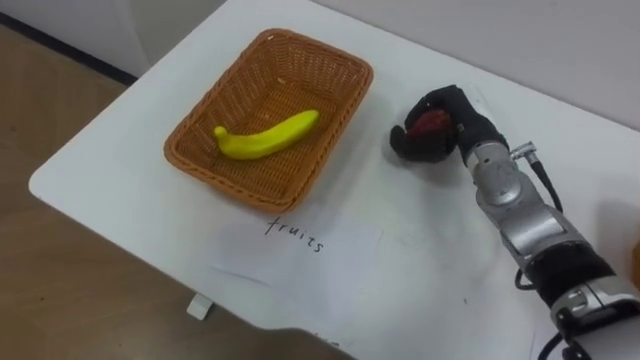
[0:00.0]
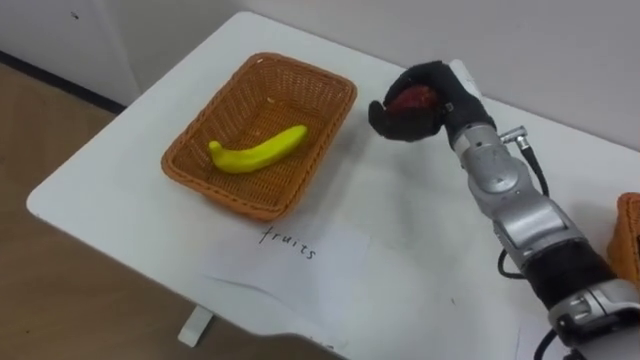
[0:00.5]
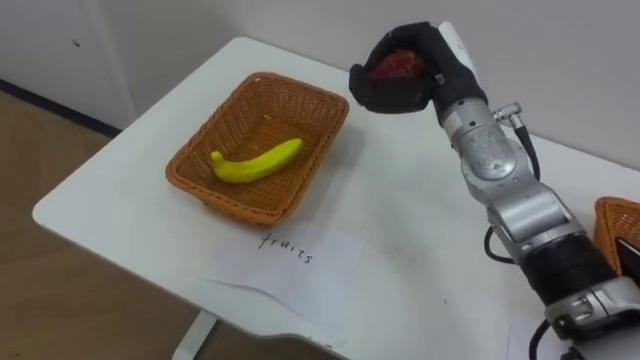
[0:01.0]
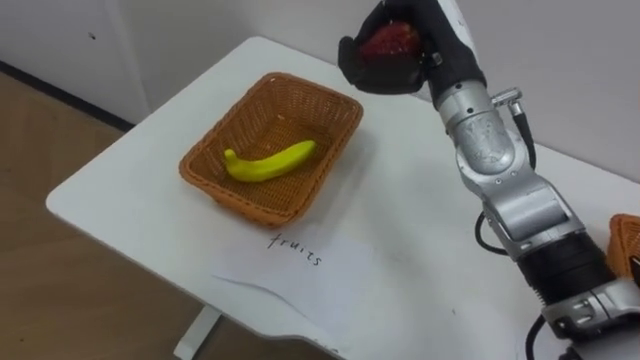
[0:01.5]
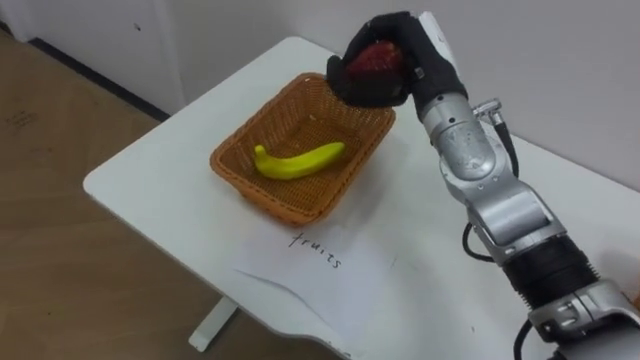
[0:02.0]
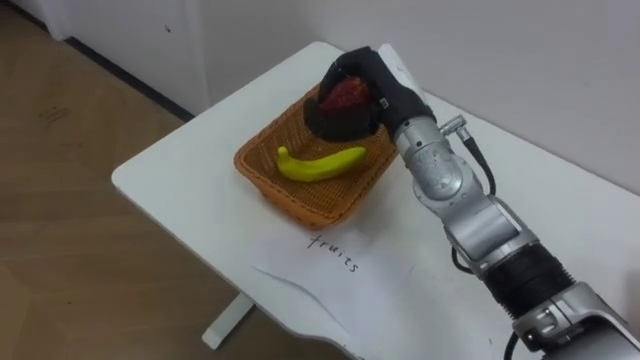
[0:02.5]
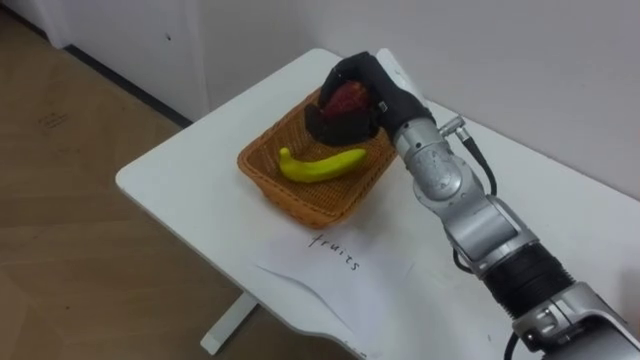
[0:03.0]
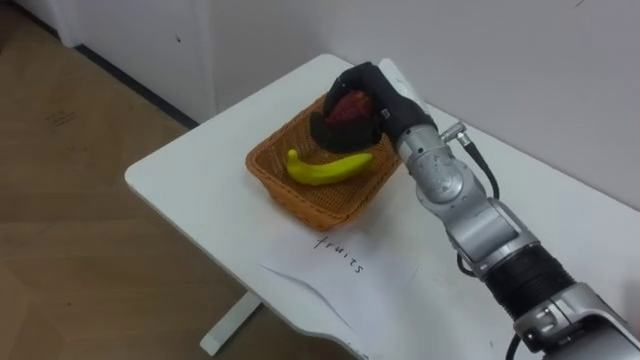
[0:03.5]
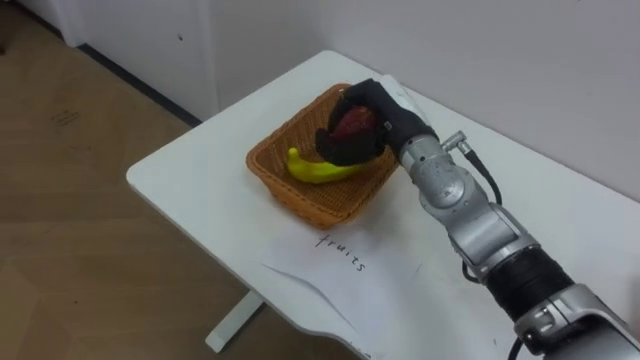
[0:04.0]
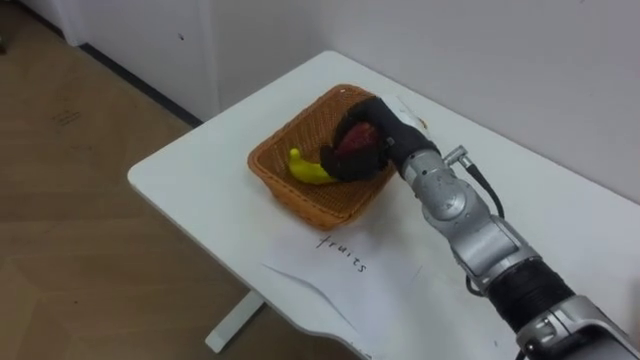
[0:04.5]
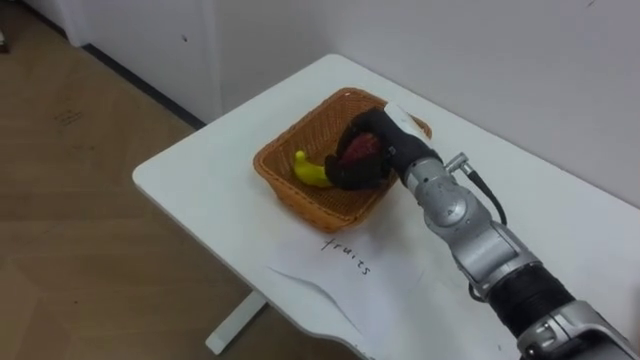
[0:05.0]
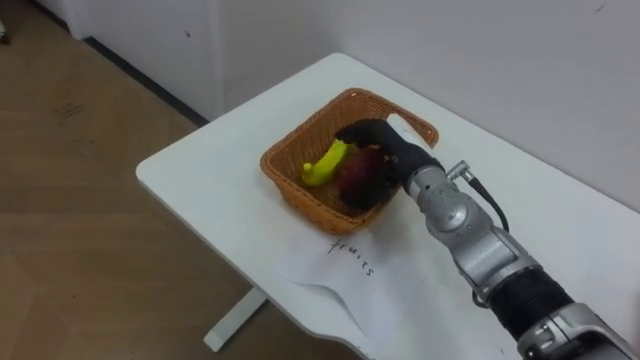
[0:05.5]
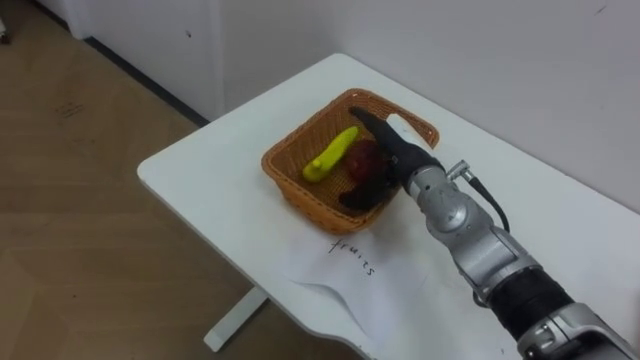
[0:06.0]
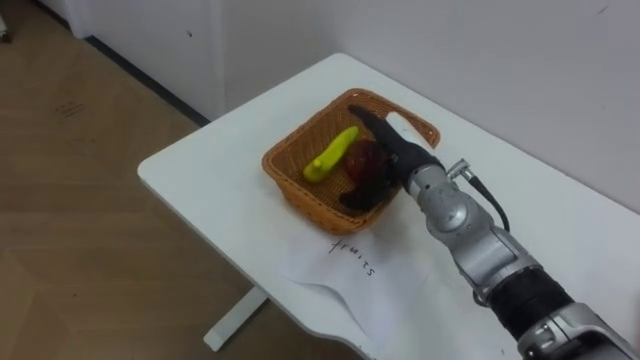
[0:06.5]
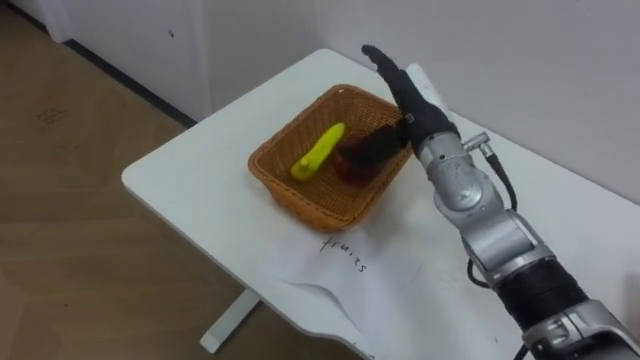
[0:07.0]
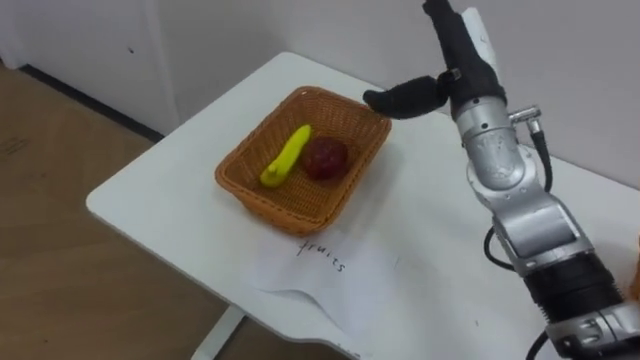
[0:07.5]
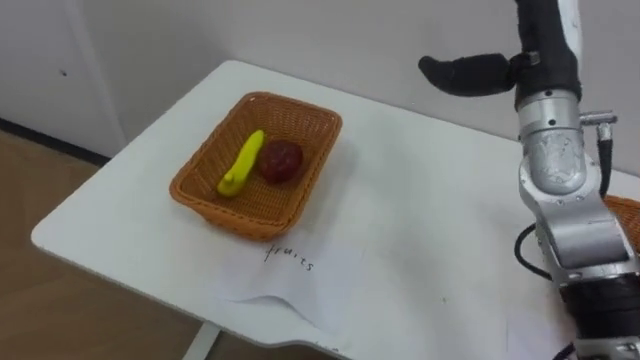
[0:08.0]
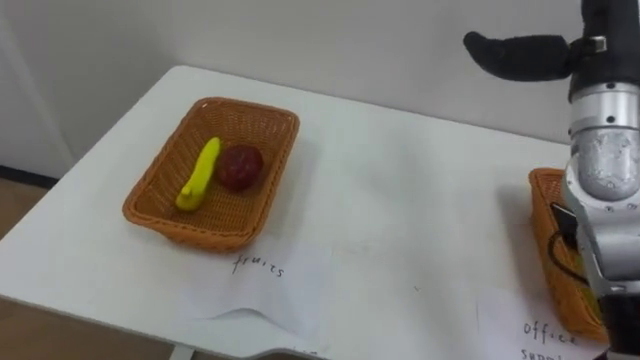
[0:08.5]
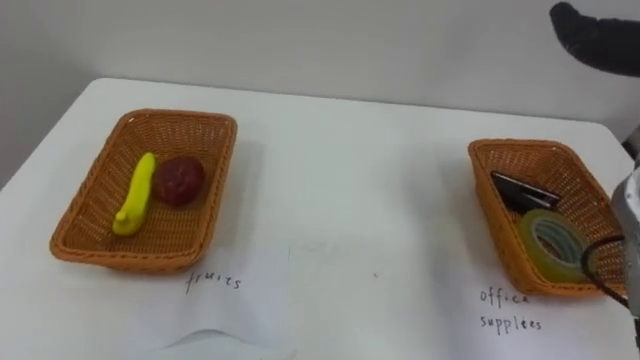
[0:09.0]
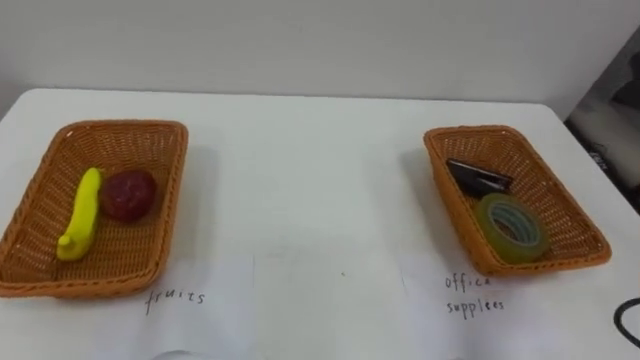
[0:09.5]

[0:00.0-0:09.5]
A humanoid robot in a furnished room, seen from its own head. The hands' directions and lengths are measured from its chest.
Task of the whole recording: Separate the items on the table and place them into the two baskets.
0:00.0 to 0:02.0: The right hand moves upward and to the left, some 15 cm.
0:02.0 to 0:04.0: The right hand shifts approximately 5 cm downward.
0:04.0 to 0:05.5: The right hand heads downward, covering approximately 5 cm, and opens its fingers.
0:05.5 to 0:07.5: The right hand goes about 15 cm upward.

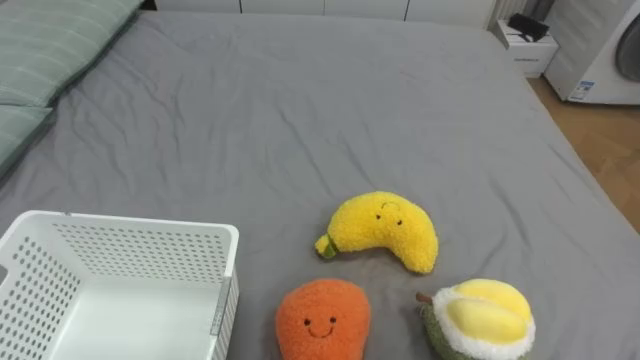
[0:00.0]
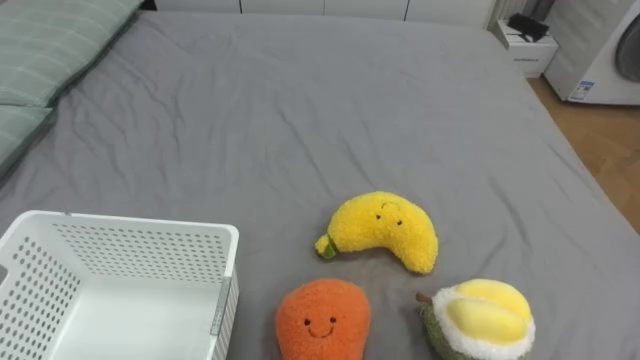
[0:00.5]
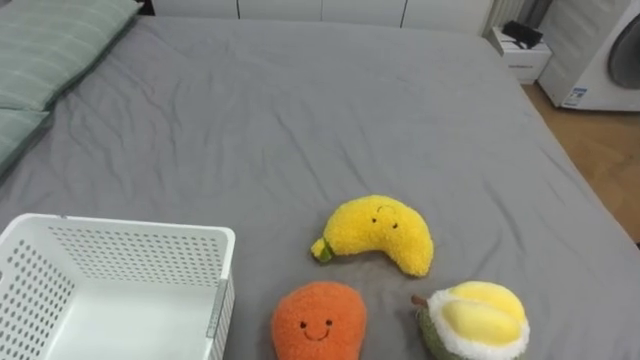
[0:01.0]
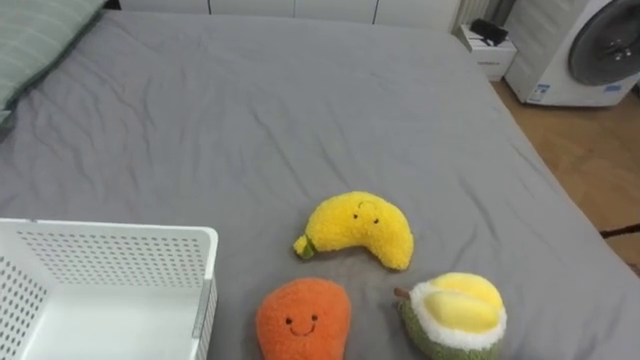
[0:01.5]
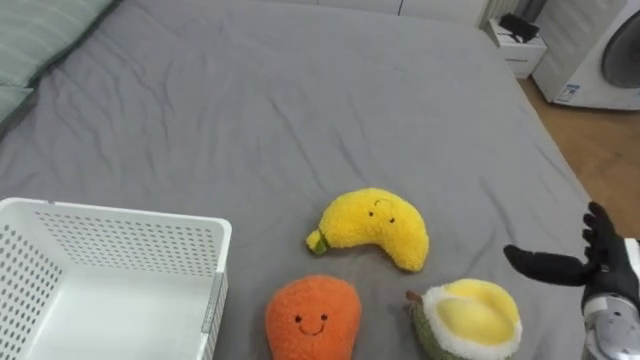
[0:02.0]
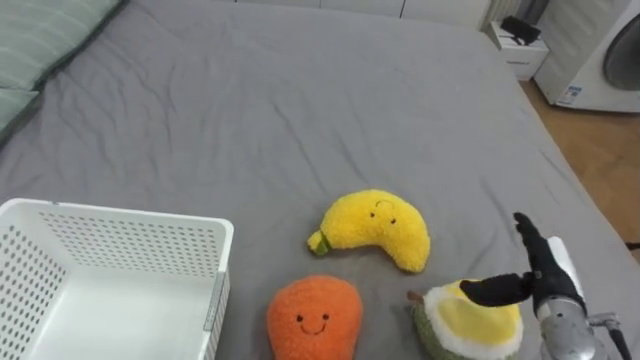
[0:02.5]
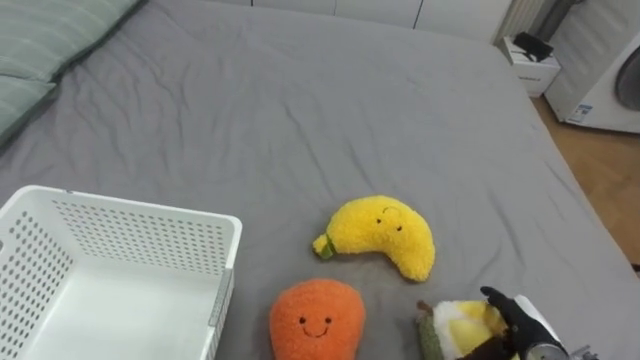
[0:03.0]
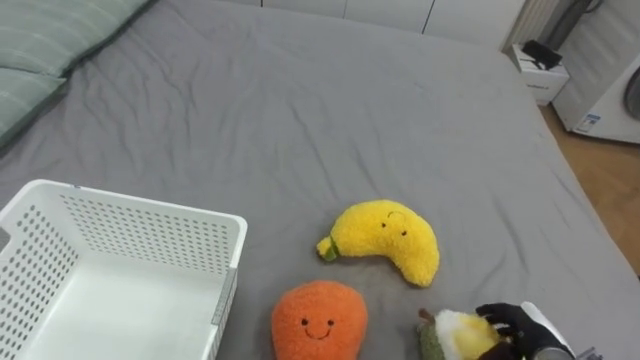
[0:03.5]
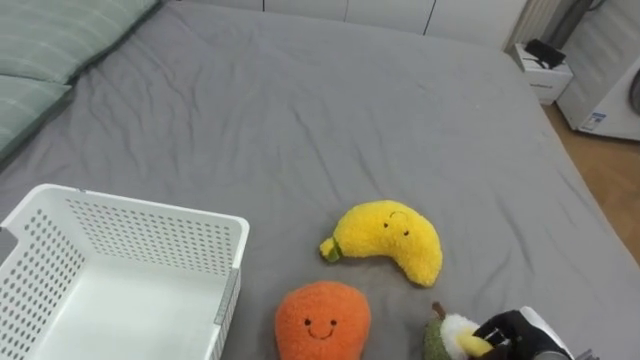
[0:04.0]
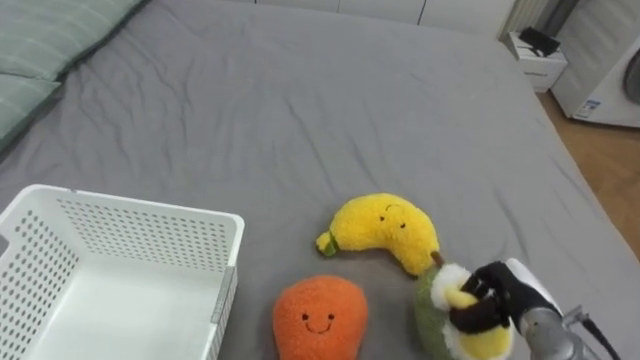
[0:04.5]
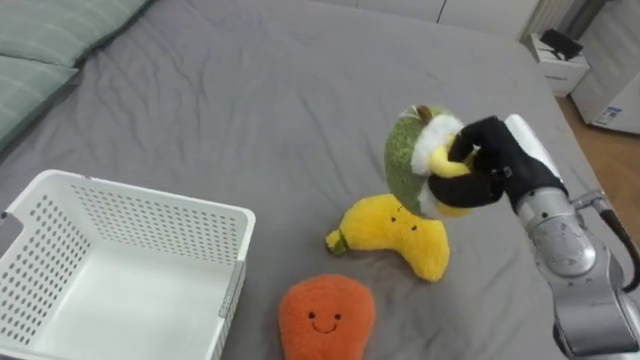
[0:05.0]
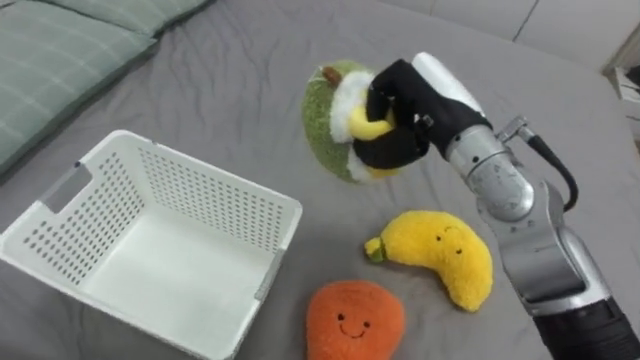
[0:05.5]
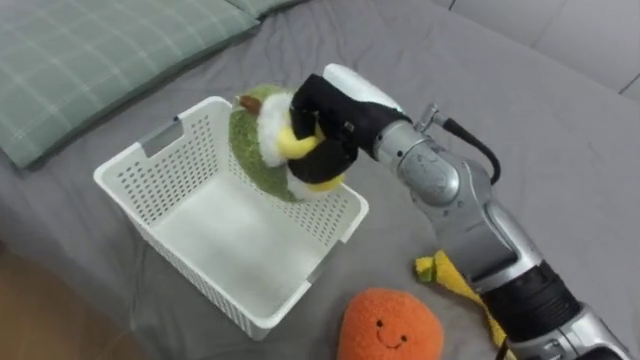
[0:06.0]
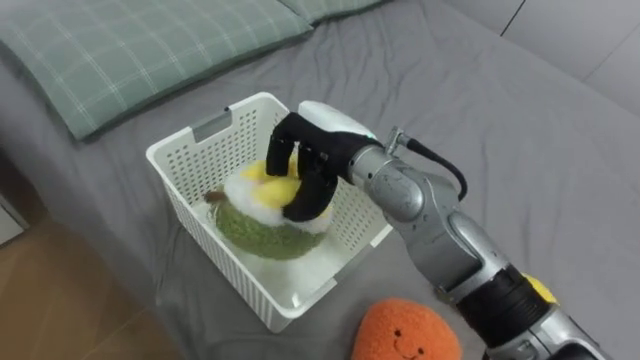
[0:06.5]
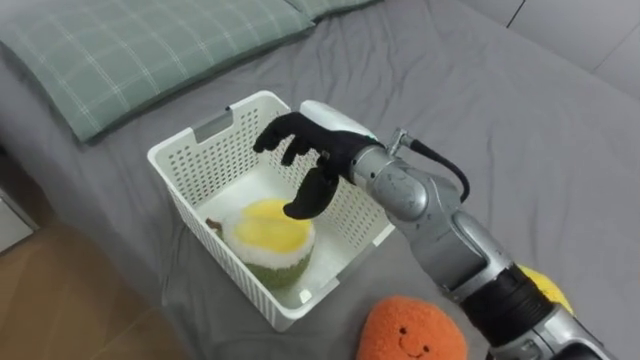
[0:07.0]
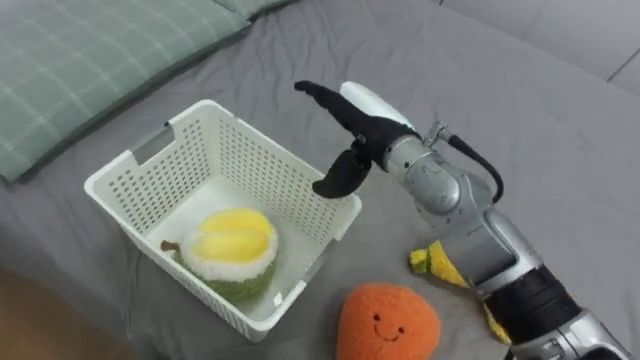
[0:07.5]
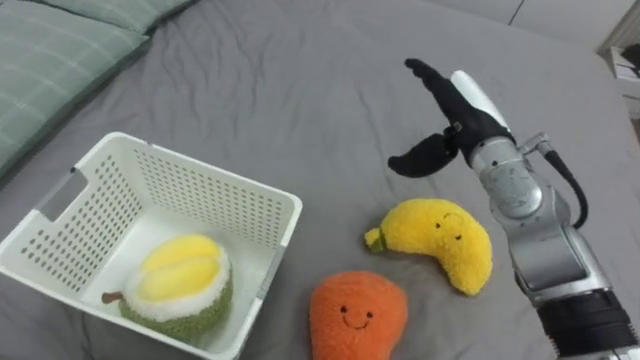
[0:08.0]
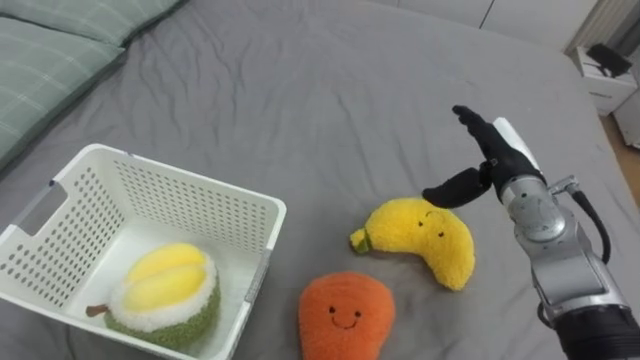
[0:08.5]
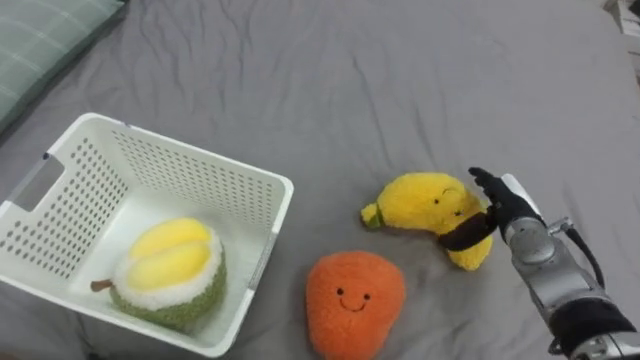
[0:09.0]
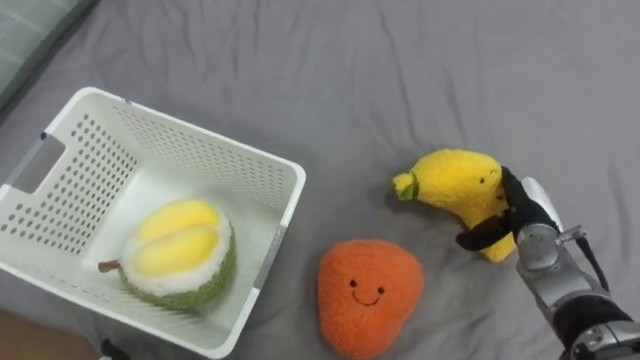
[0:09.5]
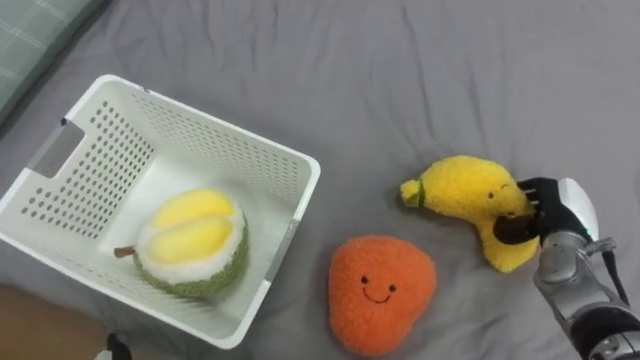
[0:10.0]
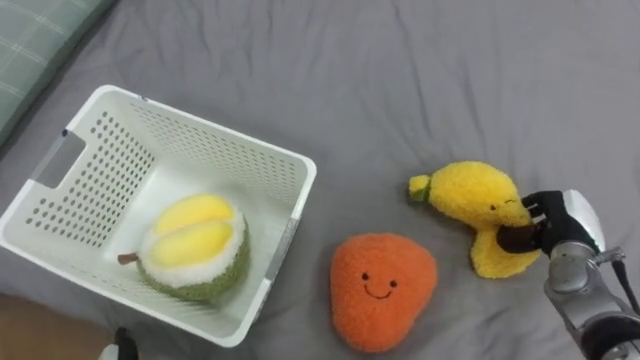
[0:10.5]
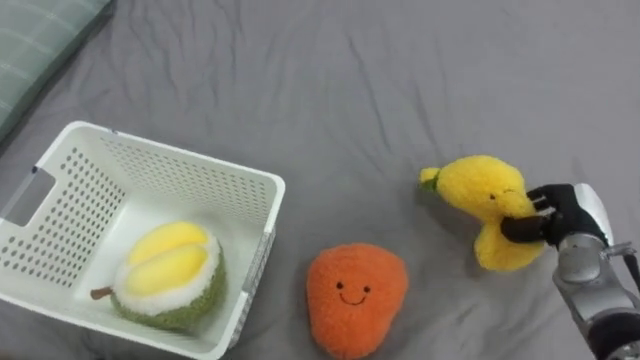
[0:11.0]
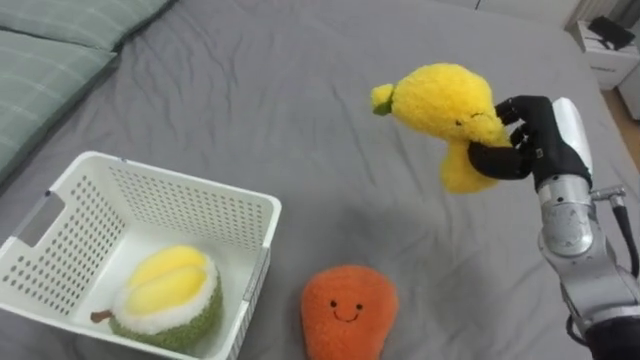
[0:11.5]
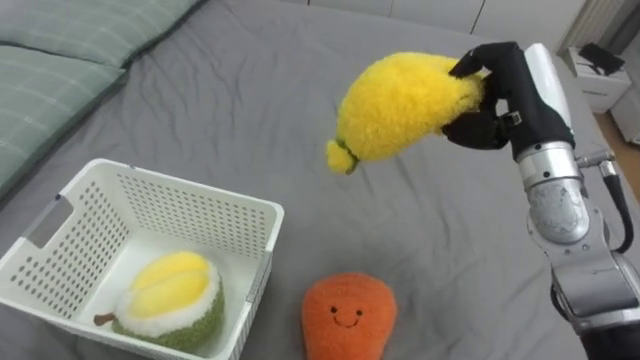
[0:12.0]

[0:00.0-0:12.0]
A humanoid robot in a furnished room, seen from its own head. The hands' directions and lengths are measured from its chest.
Task of the whole recording: Put the toys on the bed into the basket on the left.
0:02.0 to 0:04.0: The right hand shifts roughly 15 cm downward, to the left and backward, and closes its fingers.
0:04.0 to 0:06.0: The right hand goes some 40 cm upward, to the left and forward.
0:06.0 to 0:08.0: The right hand heads to the right, covering approximately 15 cm, and opens.
0:08.0 to 0:10.0: The right hand heads to the right and downward, covering some 20 cm, and closes its fingers.
0:10.0 to 0:12.0: The right hand heads upward and to the left, covering roughly 20 cm, and closes.
